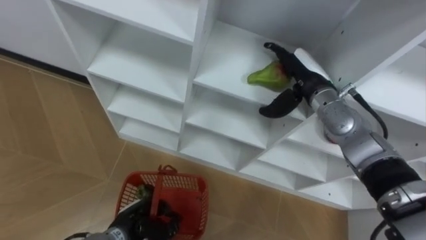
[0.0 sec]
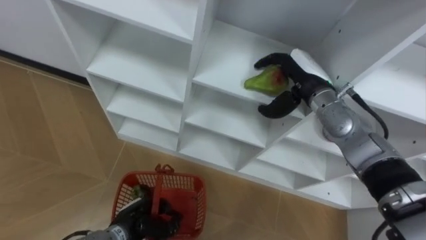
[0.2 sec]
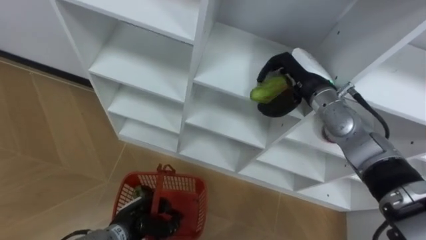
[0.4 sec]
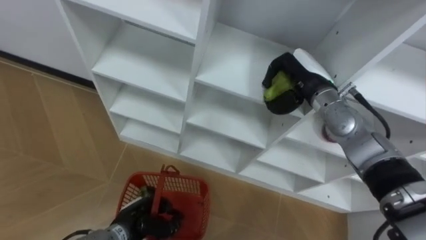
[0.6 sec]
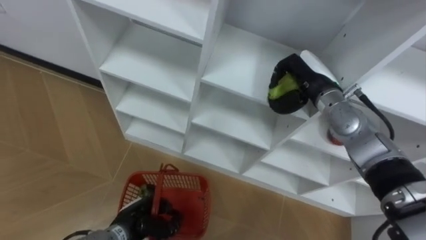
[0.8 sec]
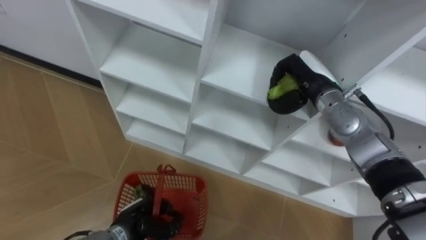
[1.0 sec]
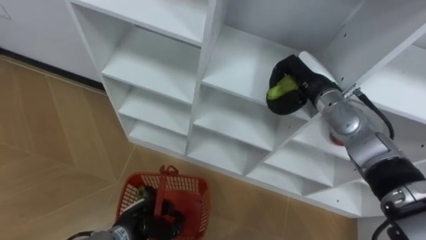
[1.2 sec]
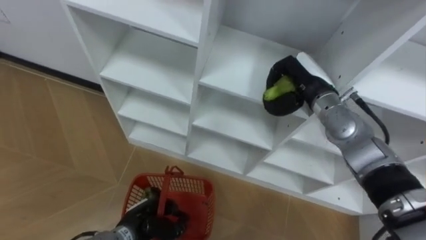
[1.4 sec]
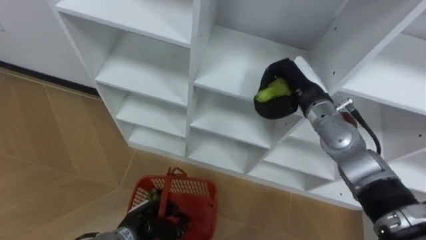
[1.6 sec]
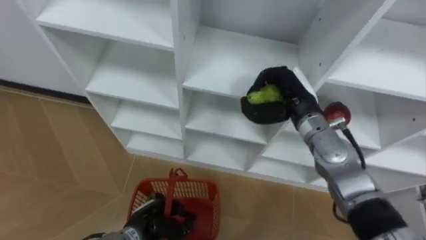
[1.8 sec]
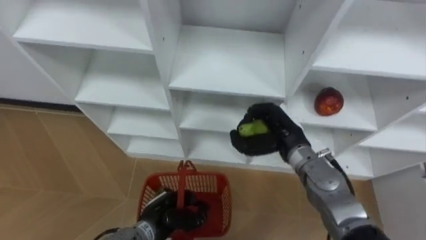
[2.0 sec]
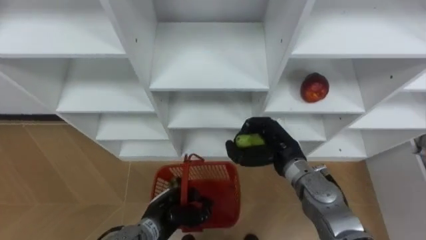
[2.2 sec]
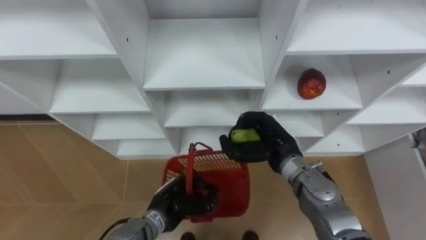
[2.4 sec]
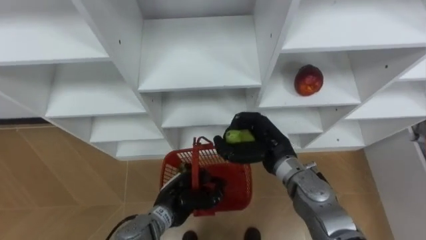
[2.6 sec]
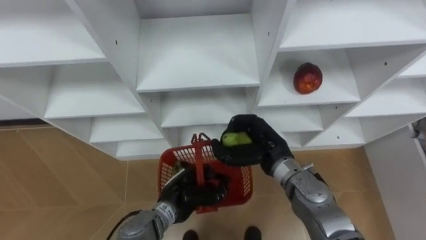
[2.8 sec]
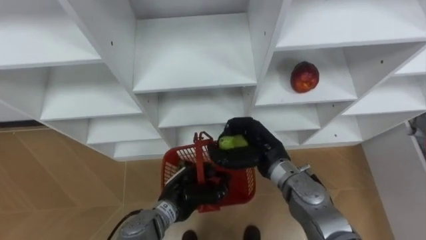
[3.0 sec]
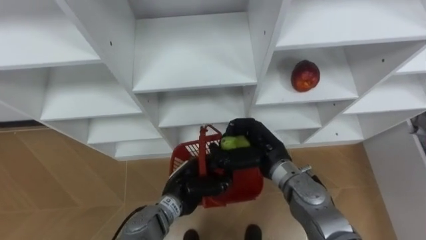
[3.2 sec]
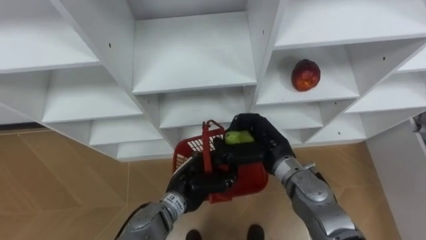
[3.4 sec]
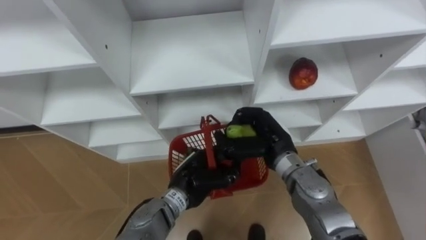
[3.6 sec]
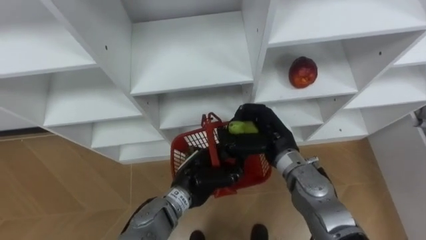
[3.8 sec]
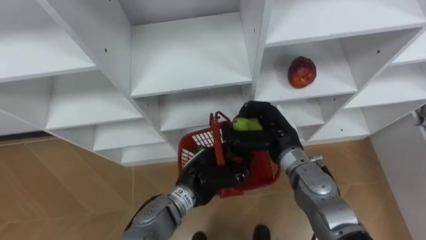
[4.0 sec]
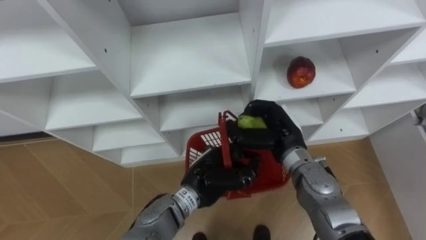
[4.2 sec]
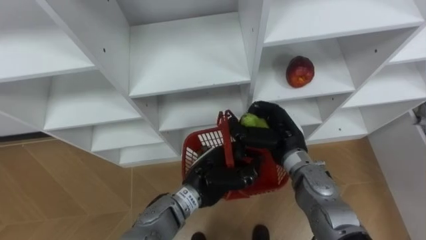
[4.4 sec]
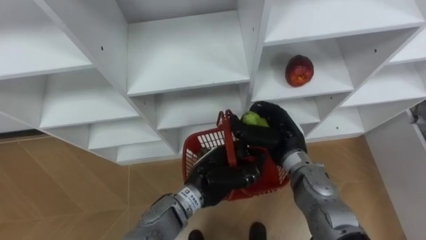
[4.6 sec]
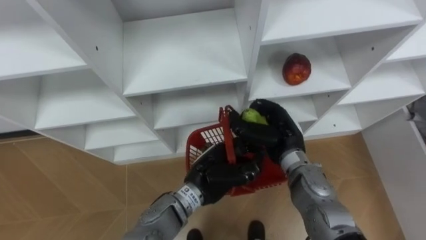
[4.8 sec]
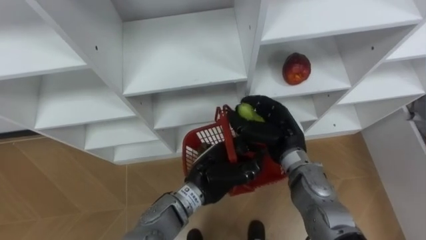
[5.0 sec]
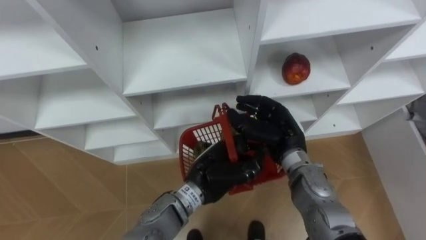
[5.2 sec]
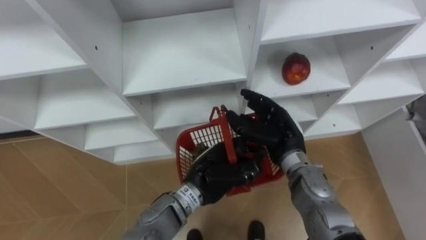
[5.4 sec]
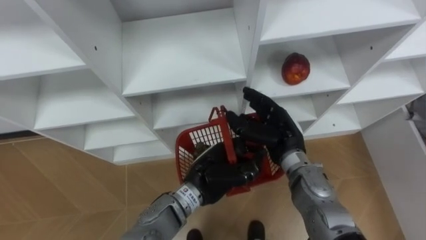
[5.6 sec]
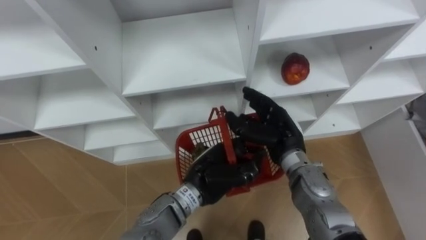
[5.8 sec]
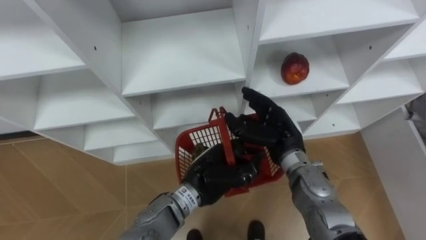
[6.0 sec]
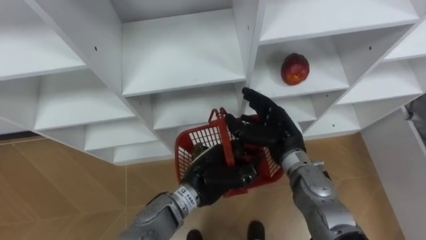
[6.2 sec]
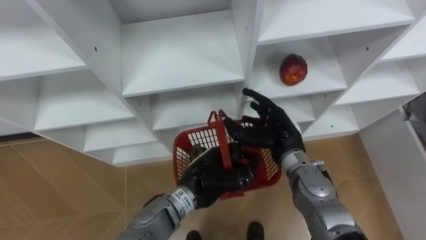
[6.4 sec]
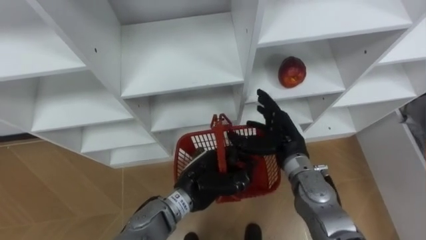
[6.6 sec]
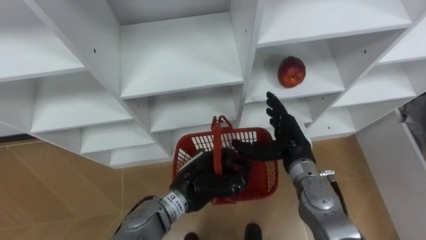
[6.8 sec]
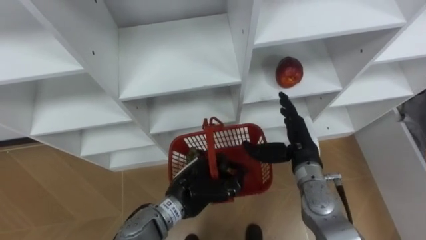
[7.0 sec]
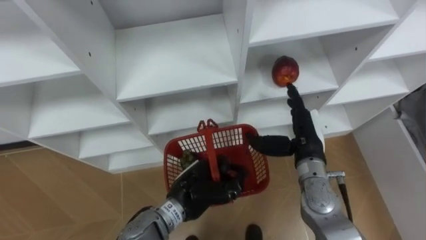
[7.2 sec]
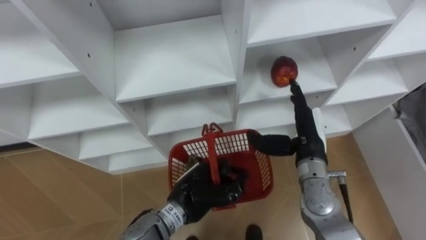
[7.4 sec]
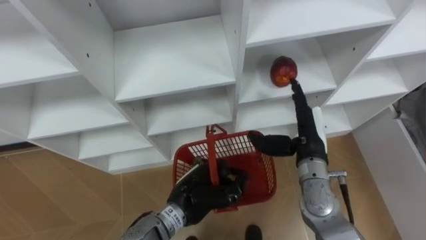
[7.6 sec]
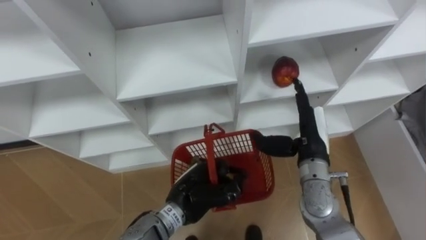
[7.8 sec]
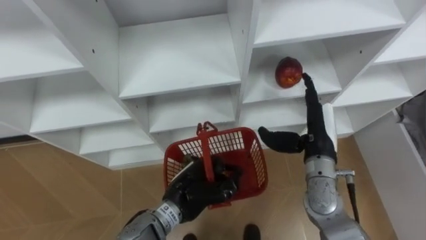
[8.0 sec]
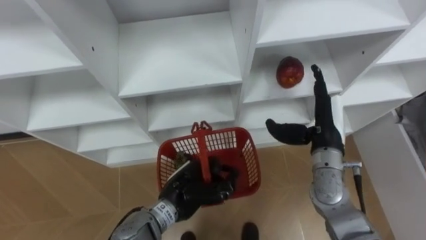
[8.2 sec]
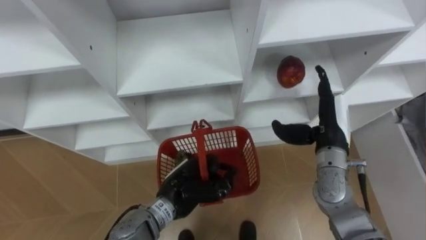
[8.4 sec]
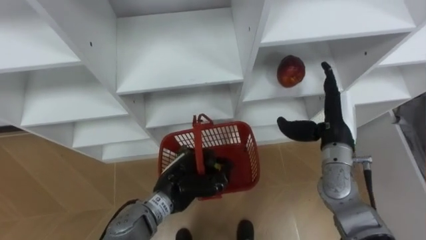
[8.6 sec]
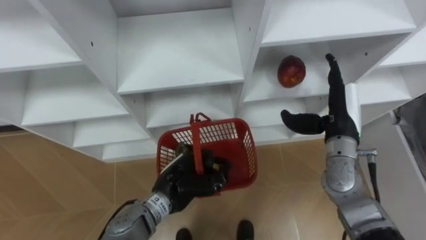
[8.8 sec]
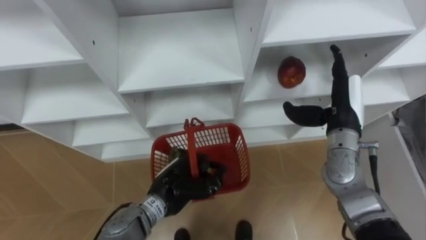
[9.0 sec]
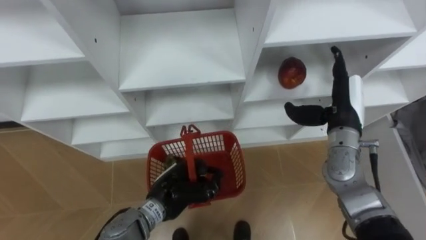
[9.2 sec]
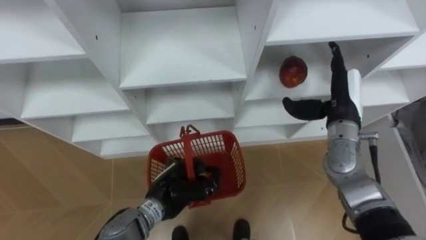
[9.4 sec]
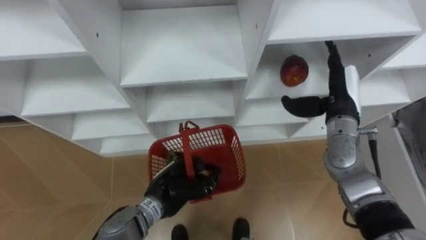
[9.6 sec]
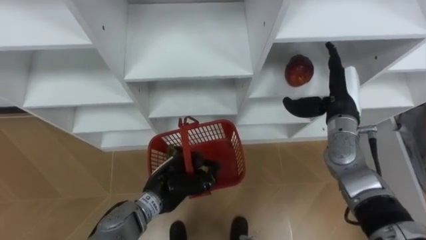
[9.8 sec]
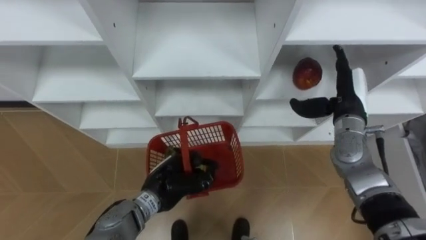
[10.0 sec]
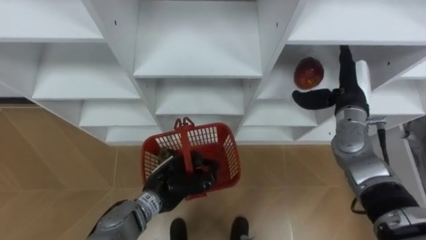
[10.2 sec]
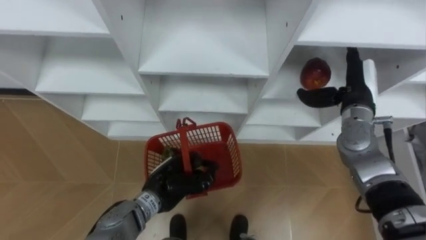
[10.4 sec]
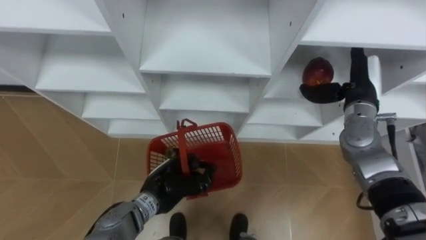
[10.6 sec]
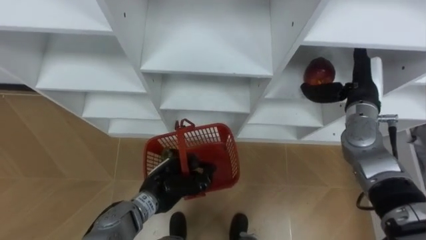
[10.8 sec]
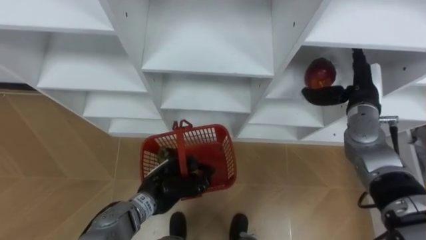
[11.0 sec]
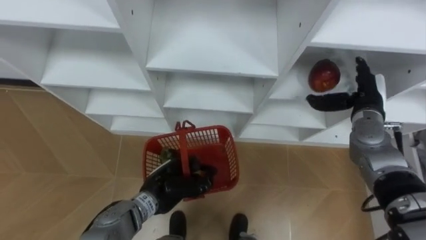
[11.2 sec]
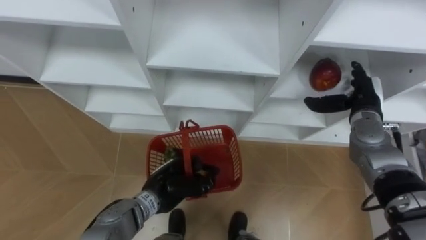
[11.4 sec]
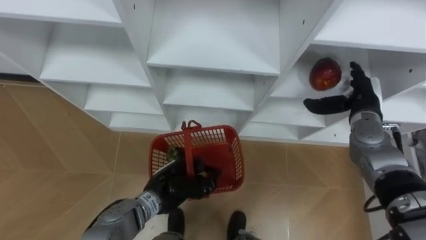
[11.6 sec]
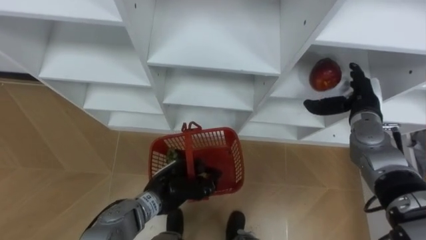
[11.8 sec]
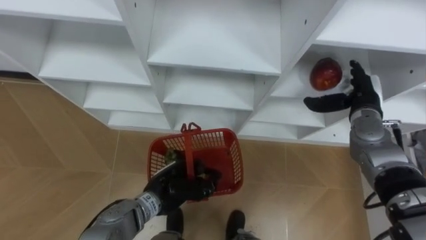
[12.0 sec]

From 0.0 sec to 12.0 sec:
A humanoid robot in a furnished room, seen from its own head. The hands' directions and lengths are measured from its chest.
Task of the whole recording: Hold the basket and collect the fruits from 3 different cells of the closet into it.
From 0.0 sec to 1.6 sec: The right hand closes up.
From 1.6 sec to 3.0 sec: The right hand is displaced backward, to the left and downward by some 15 cm, while the left hand shifts roughly 10 cm to the right, upward and forward.
From 3.0 sec to 4.4 sec: The left hand is displaced upward and to the right by some 10 cm.
From 4.4 sec to 6.0 sec: The right hand opens its fingers.
From 6.0 sec to 7.6 sec: The right hand goes some 5 cm to the right. The left hand changes place by about 5 cm.
From 7.6 sec to 9.0 sec: The right hand heads to the right, covering roughly 5 cm.
From 9.0 sec to 10.4 sec: The right hand shifts by about 5 cm.

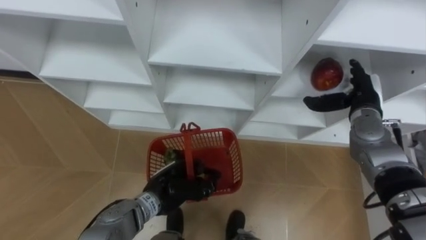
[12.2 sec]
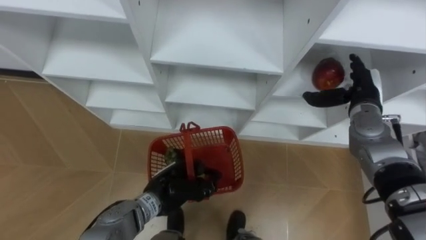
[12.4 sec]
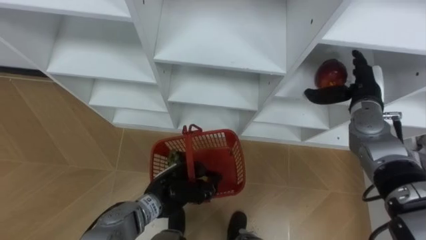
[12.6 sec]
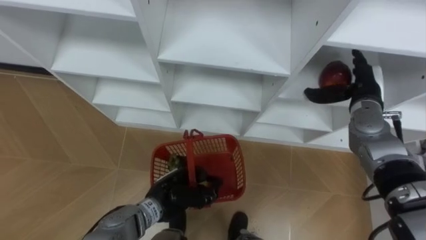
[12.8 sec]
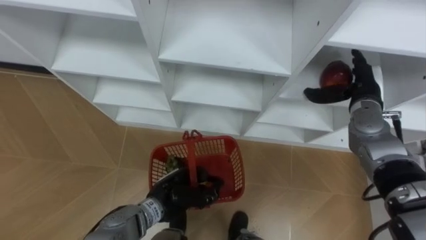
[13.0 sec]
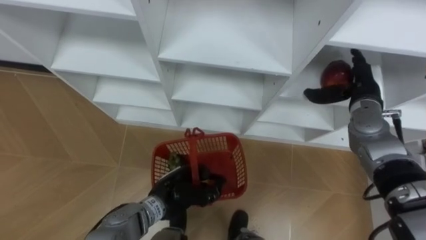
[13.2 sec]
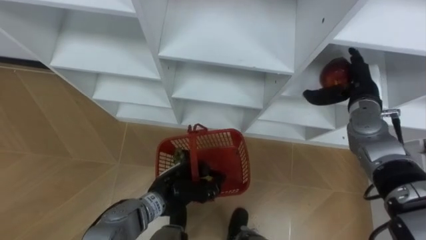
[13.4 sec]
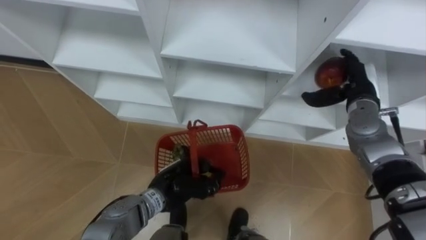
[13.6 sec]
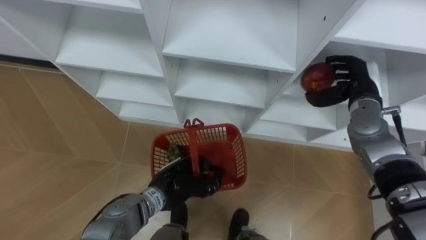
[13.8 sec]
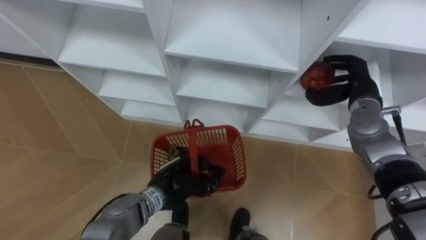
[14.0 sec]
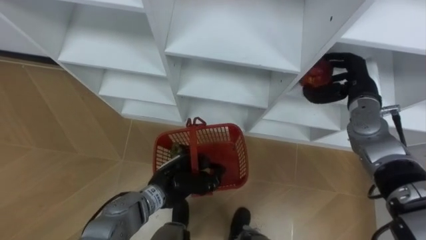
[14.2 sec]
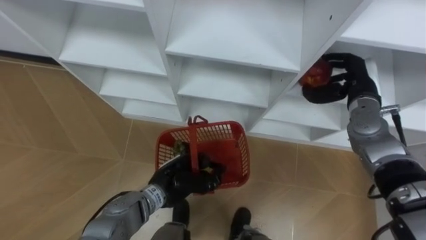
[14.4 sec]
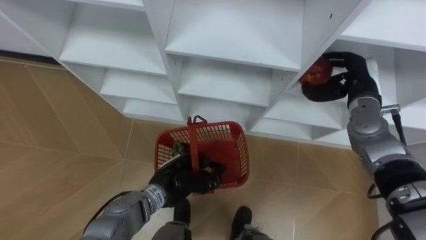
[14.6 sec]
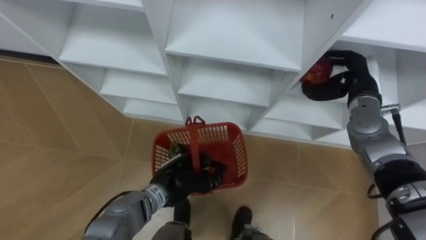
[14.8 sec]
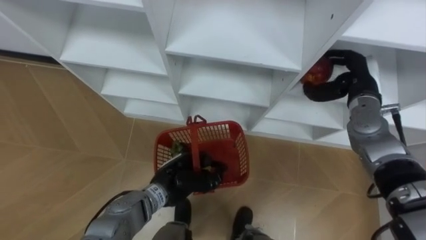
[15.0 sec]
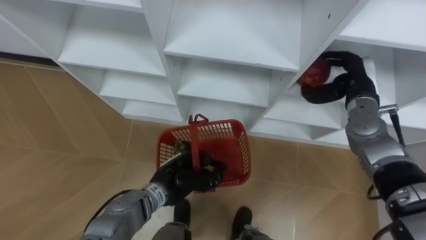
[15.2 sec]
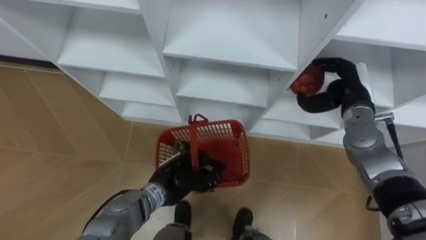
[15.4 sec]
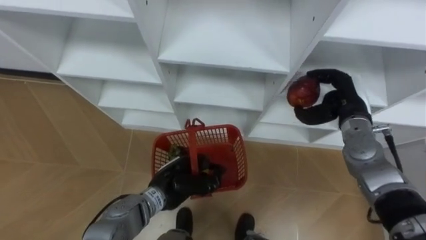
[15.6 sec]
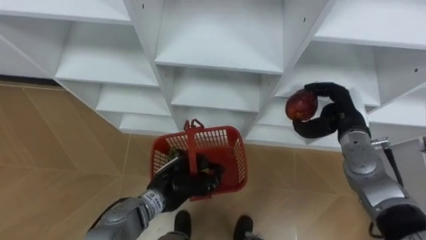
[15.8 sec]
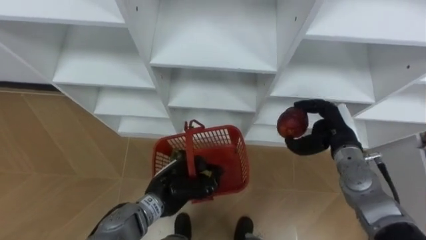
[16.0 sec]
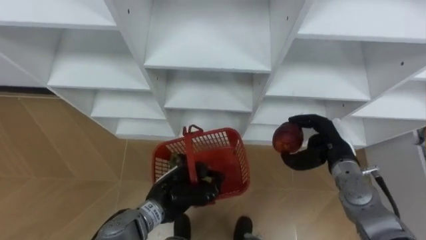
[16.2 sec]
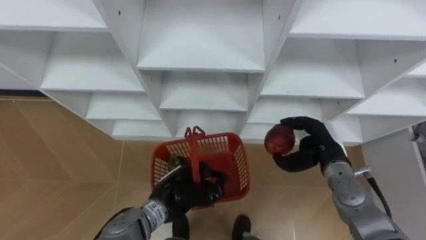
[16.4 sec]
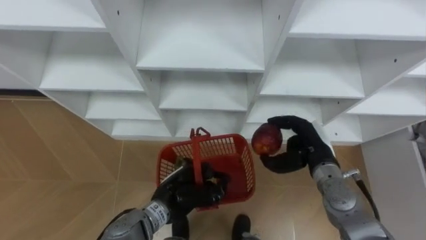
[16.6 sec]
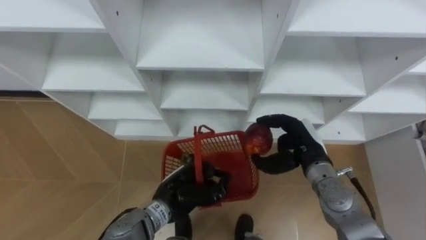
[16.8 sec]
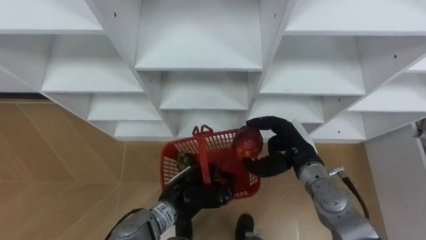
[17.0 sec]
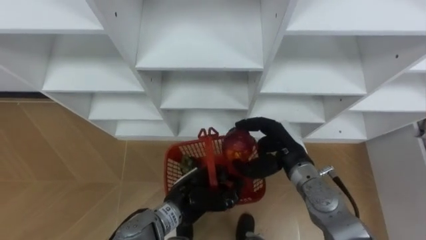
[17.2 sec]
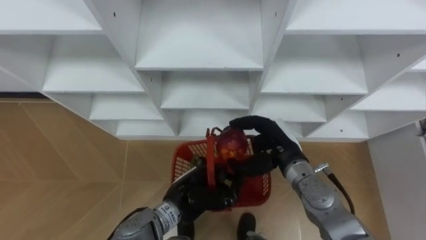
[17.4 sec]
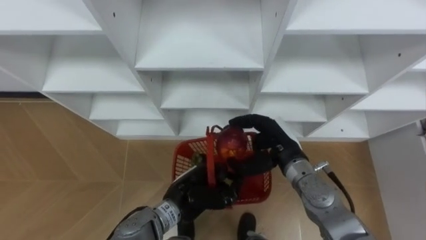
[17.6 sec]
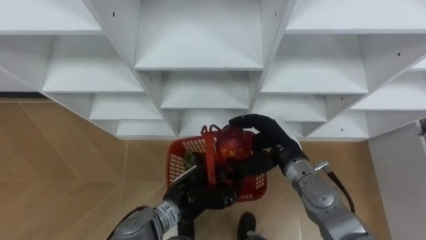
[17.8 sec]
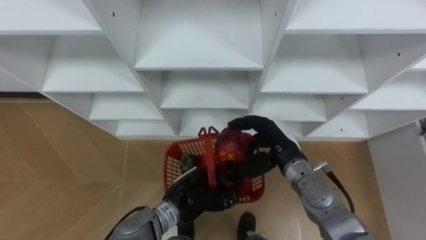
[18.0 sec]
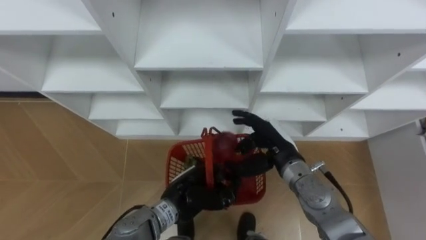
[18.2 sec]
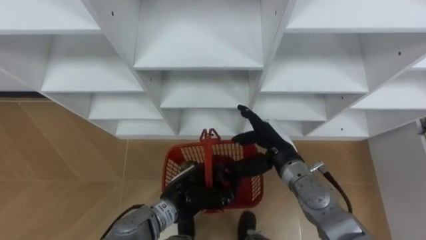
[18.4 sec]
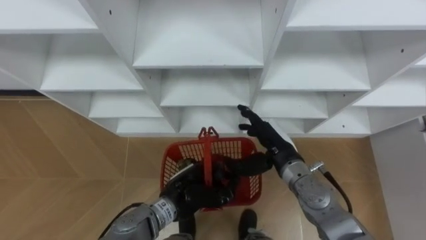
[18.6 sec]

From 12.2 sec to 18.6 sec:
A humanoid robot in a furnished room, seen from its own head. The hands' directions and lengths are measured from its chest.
Task of the whole recording: Hold the basket and collect the fruits from 3 different cells of the closet into it.
From 12.2 sec to 13.8 sec: The right hand closes its fingers.
From 15.4 sec to 17.0 sec: The right hand heads to the left, backward and downward, covering about 15 cm.
From 17.0 sec to 18.6 sec: The right hand opens up.
